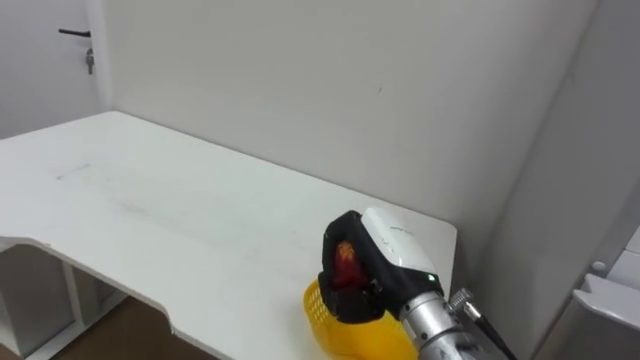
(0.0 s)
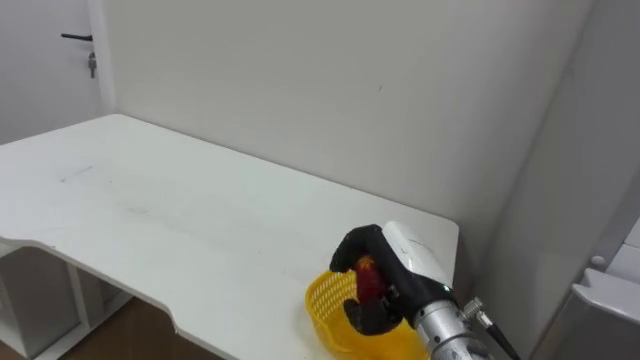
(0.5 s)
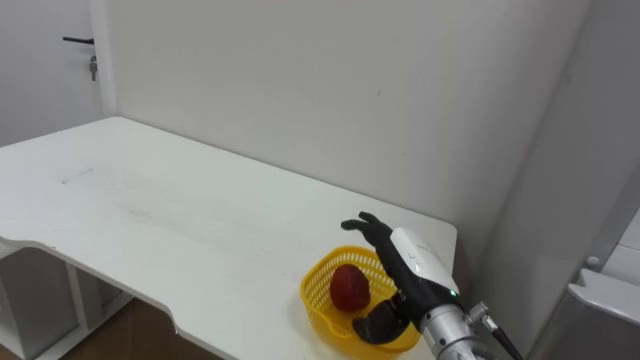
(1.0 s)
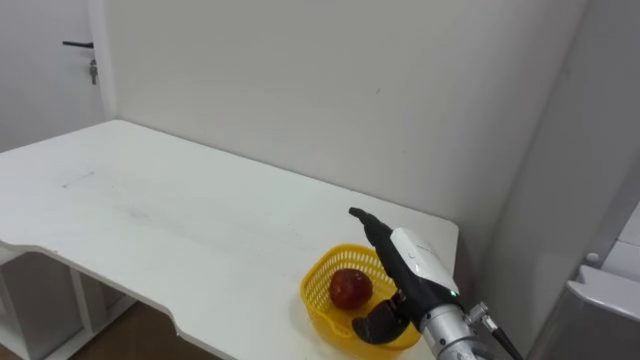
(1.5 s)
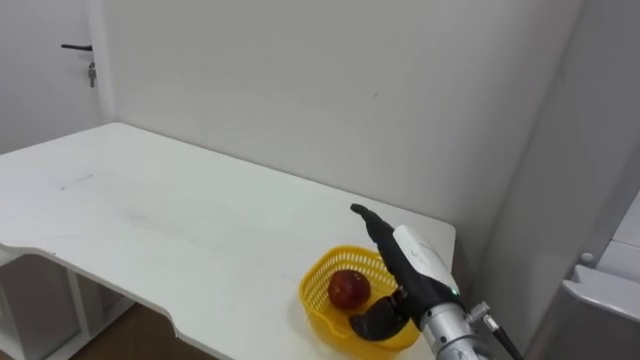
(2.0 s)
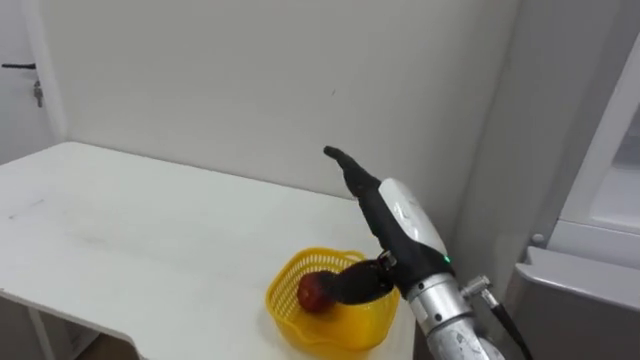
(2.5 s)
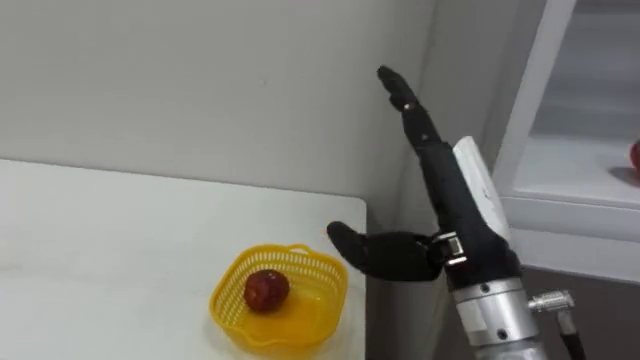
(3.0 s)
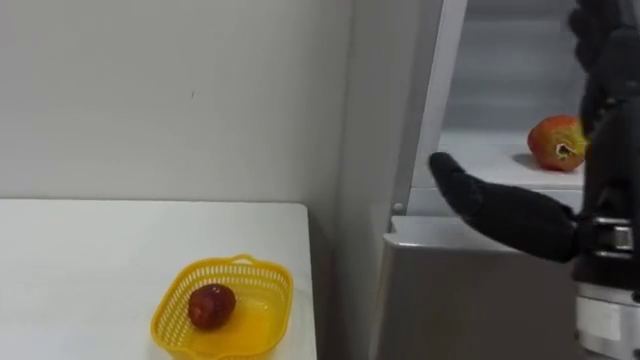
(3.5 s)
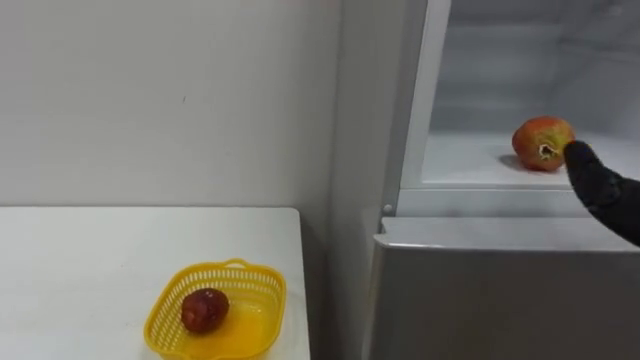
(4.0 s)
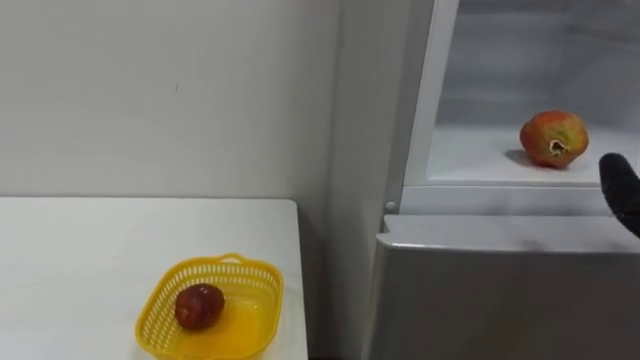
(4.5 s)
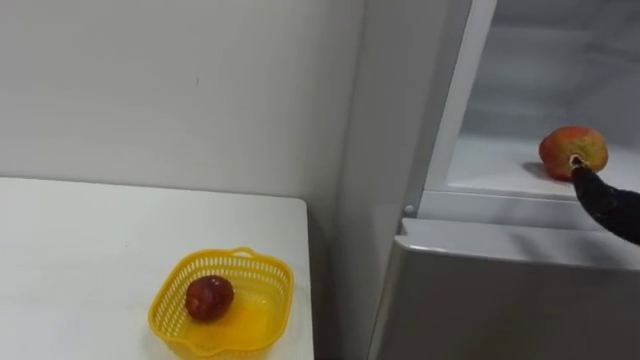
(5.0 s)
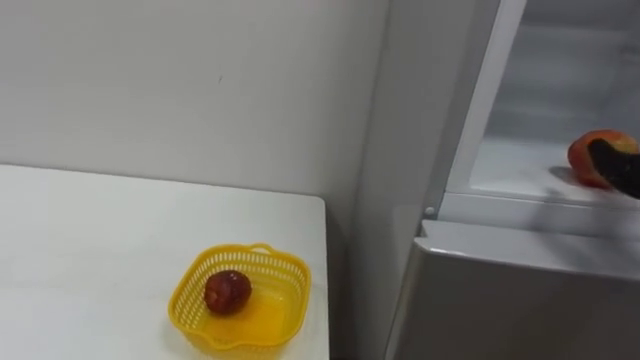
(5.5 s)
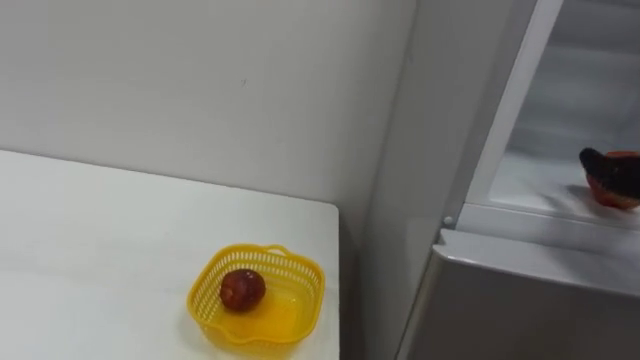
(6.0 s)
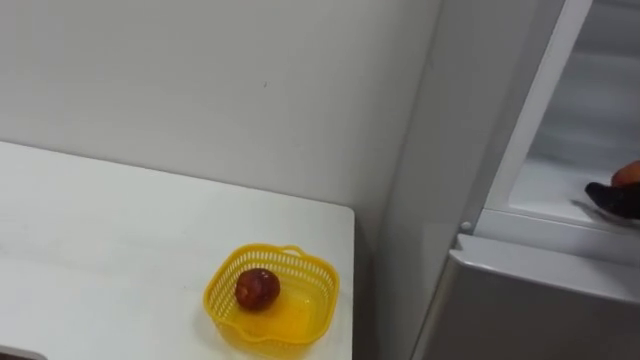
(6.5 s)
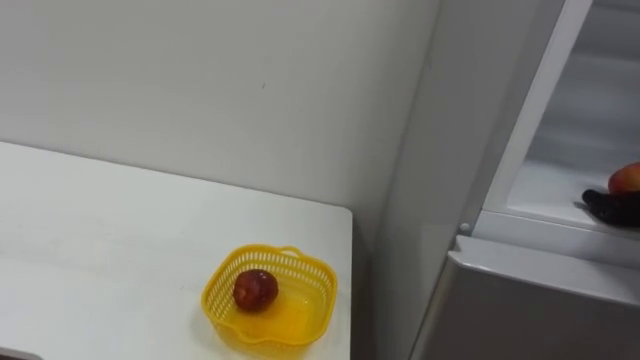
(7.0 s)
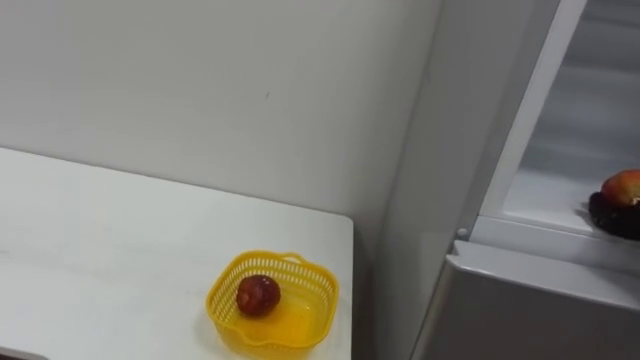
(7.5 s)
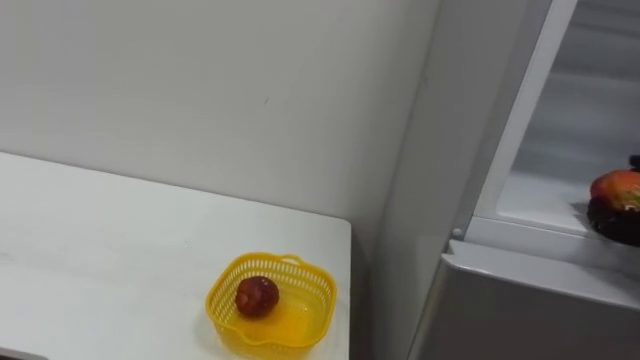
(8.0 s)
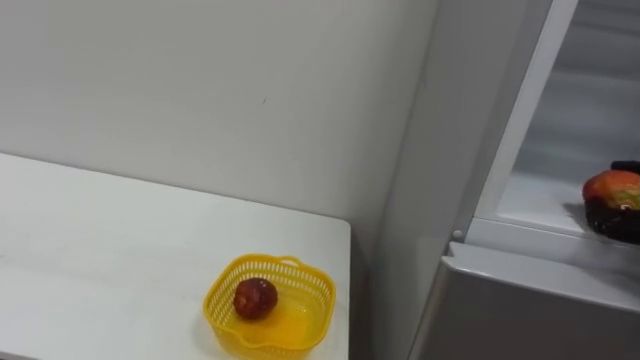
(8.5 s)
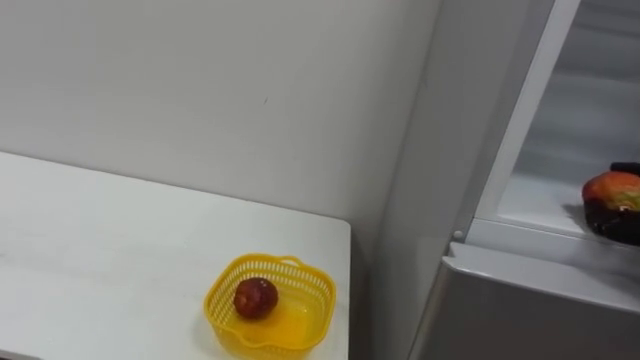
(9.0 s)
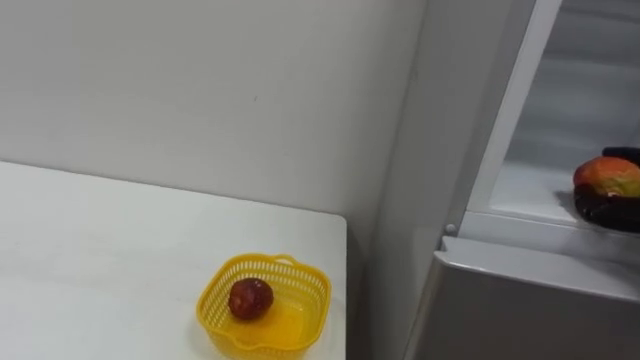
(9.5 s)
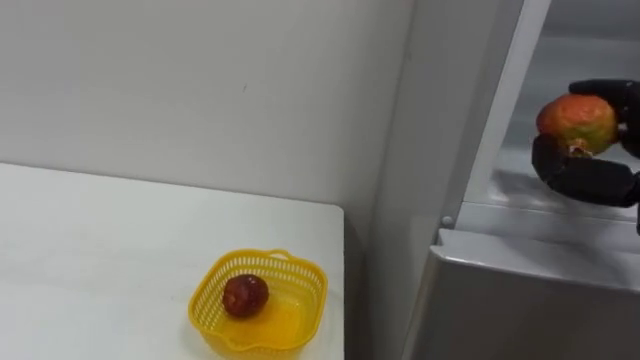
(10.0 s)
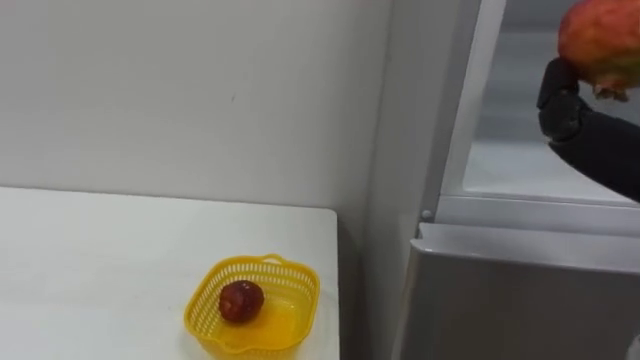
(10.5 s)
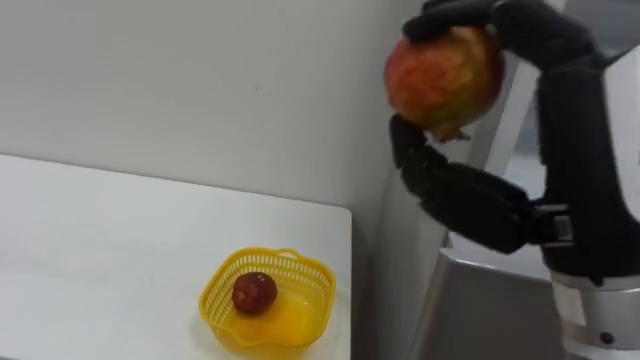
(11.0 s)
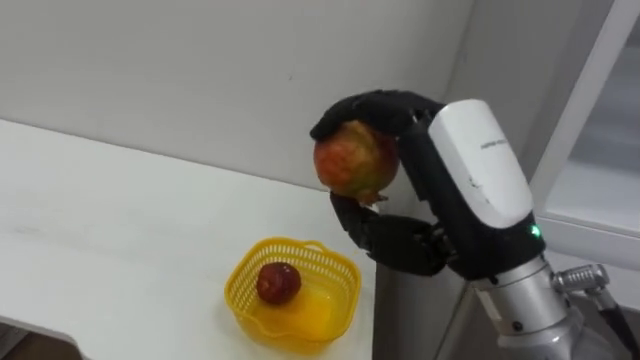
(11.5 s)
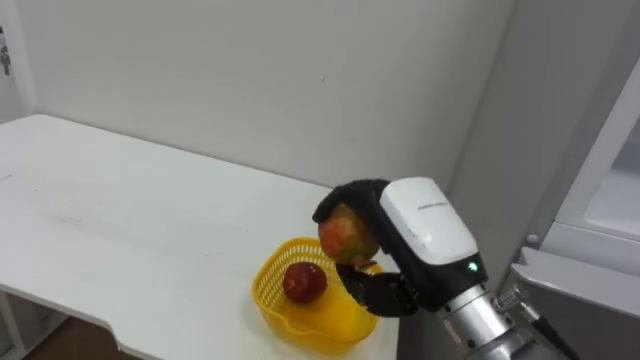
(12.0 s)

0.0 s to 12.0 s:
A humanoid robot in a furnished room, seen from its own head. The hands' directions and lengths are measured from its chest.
Task of the whole recording: Open the refrigerator door, take out the apple and the pomegranate, place them in the fruit basket on the left, and close the refrigerator door.
0.0 to 2.0 s: The right hand ends up some 5 cm from where it was, and opens its fingers.

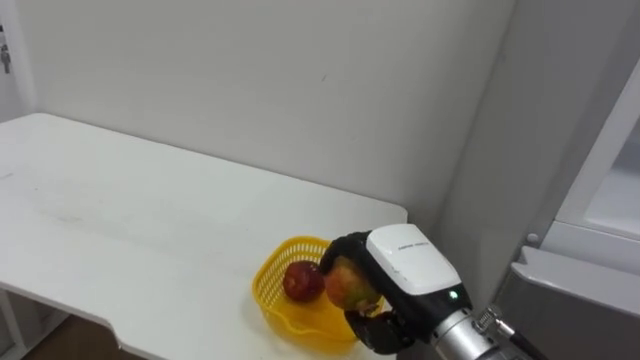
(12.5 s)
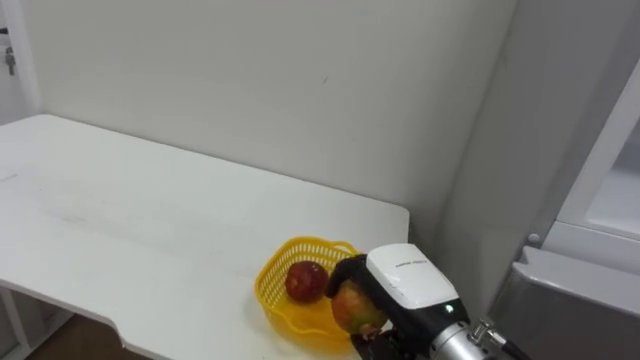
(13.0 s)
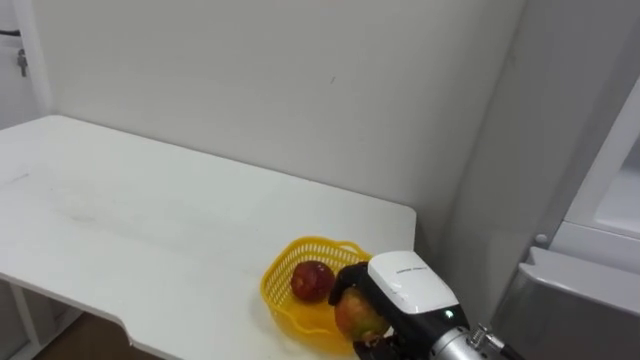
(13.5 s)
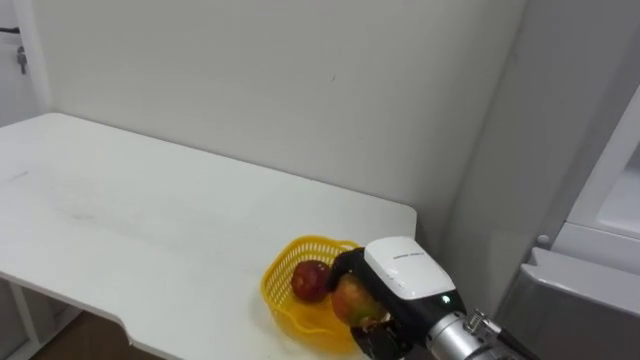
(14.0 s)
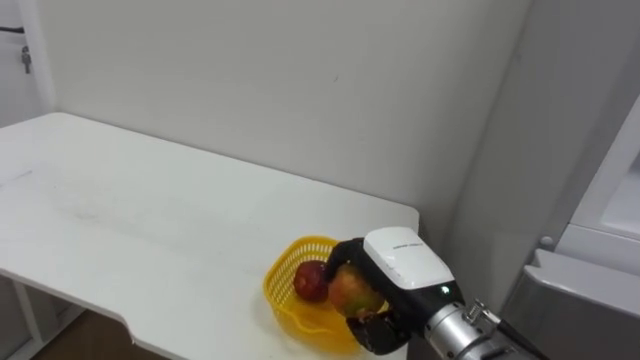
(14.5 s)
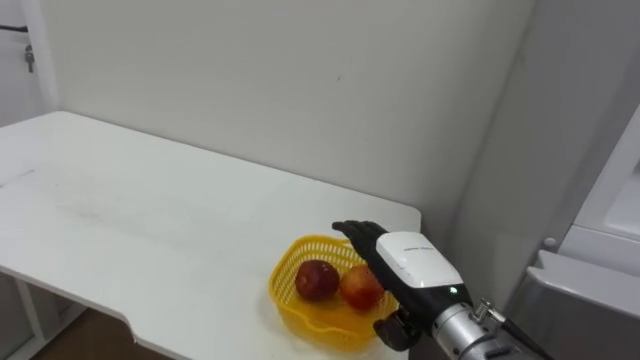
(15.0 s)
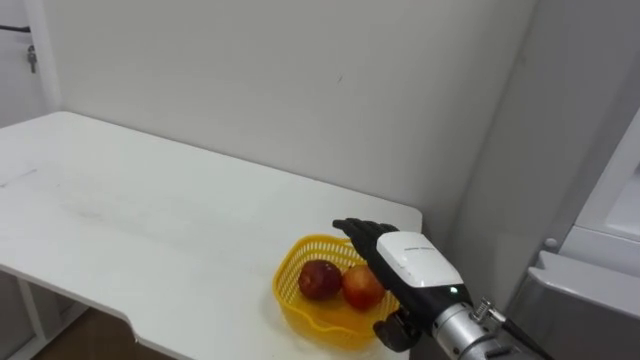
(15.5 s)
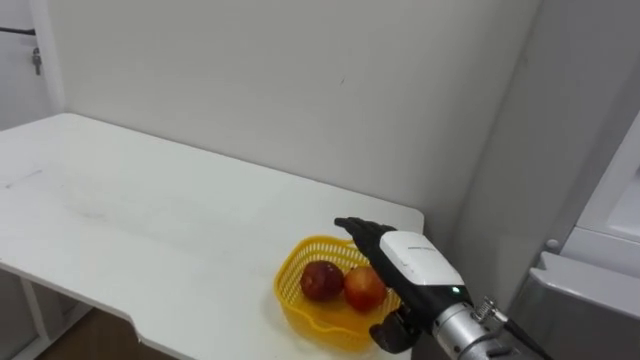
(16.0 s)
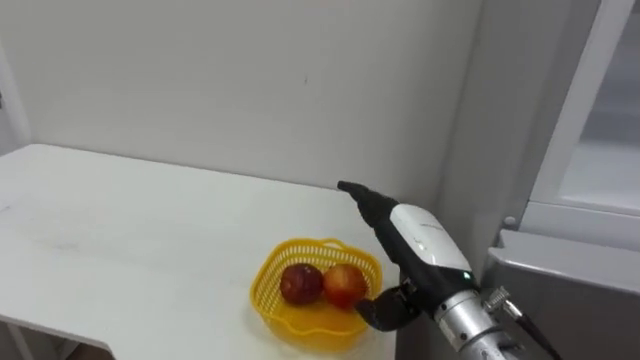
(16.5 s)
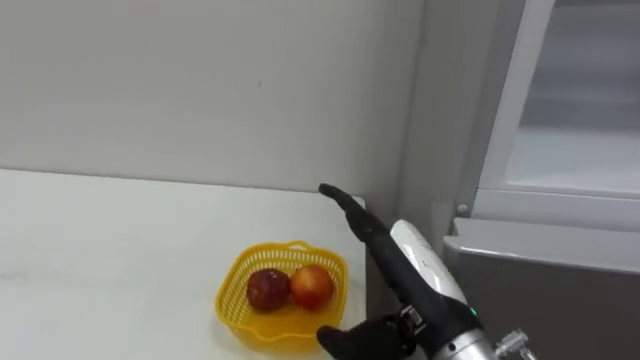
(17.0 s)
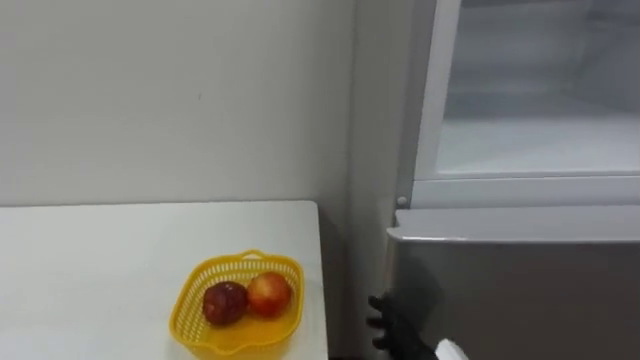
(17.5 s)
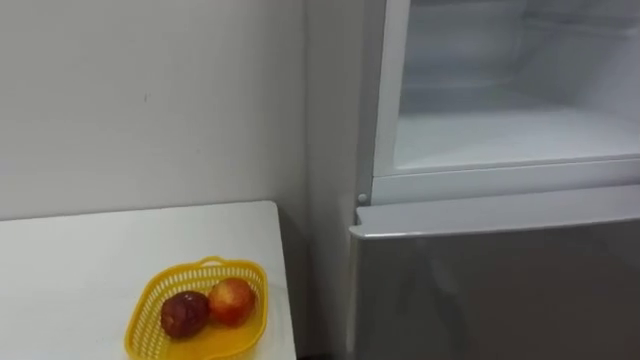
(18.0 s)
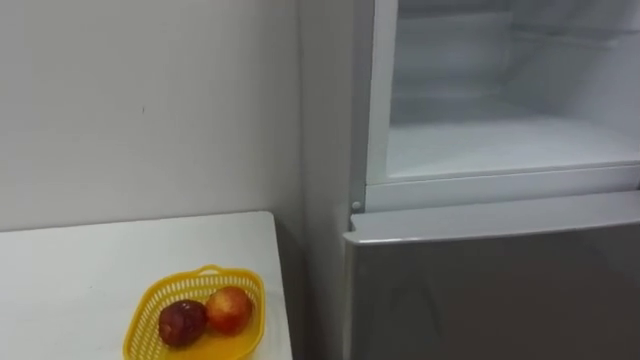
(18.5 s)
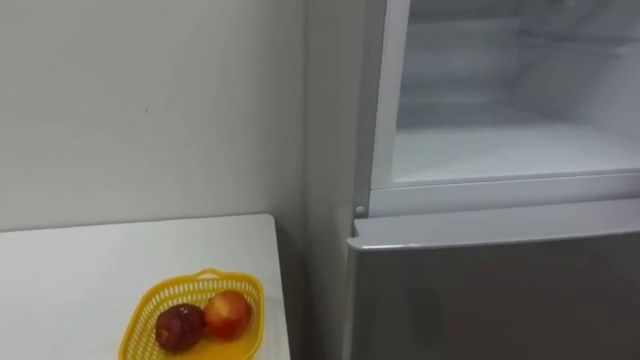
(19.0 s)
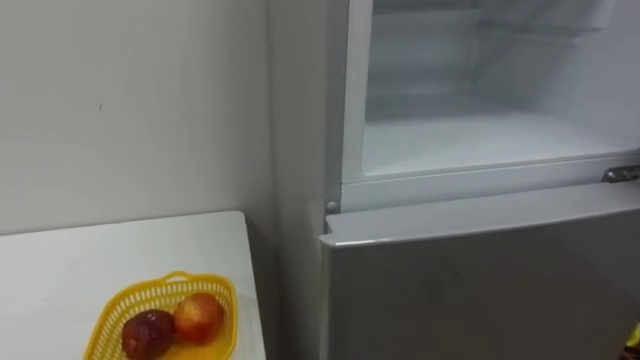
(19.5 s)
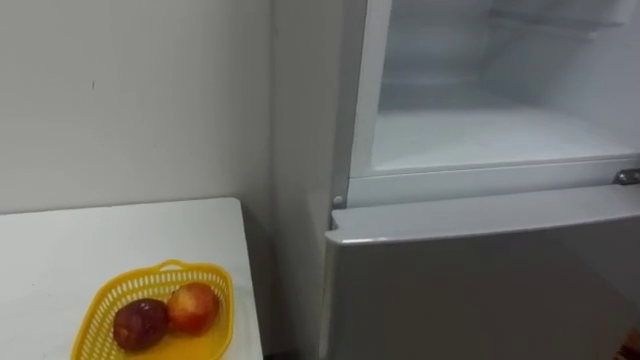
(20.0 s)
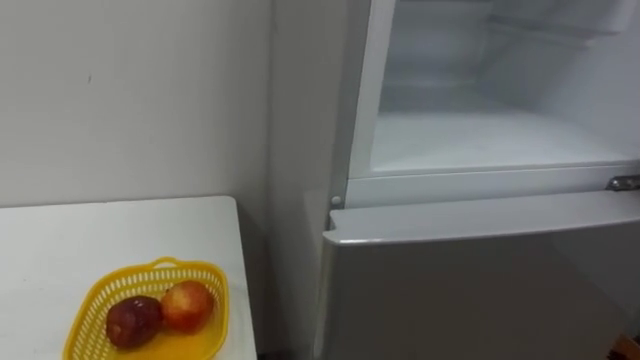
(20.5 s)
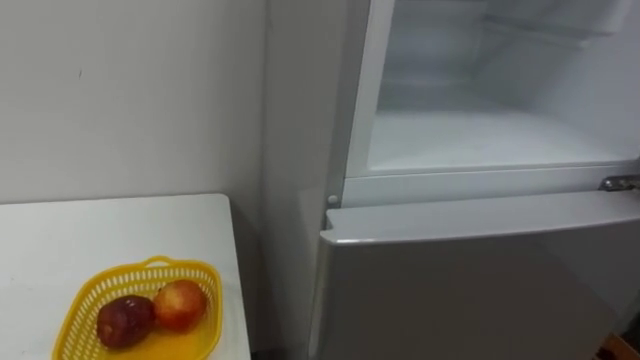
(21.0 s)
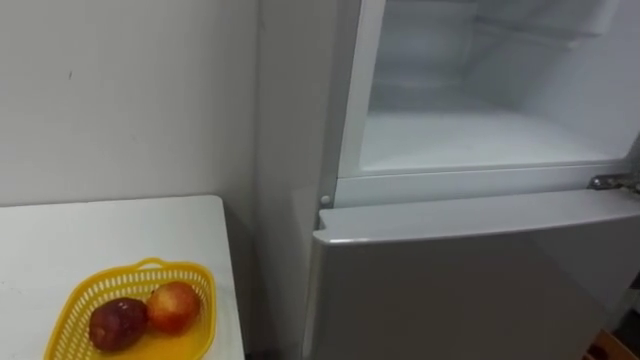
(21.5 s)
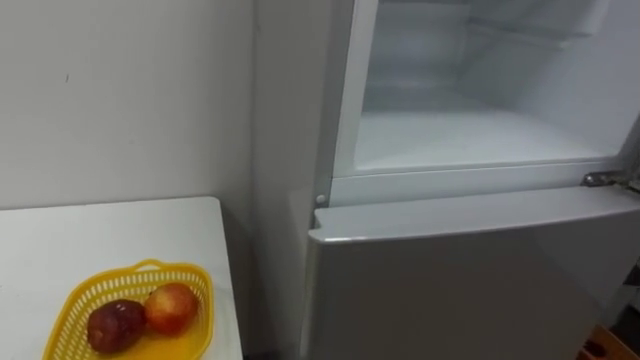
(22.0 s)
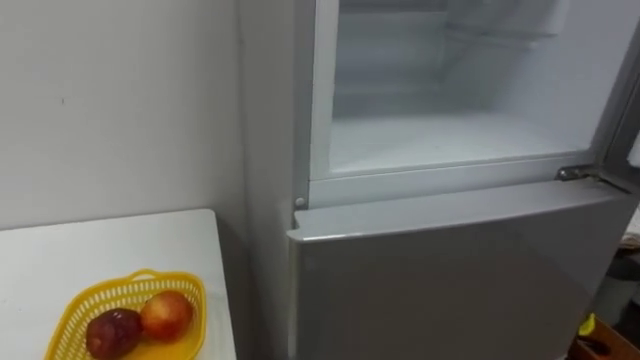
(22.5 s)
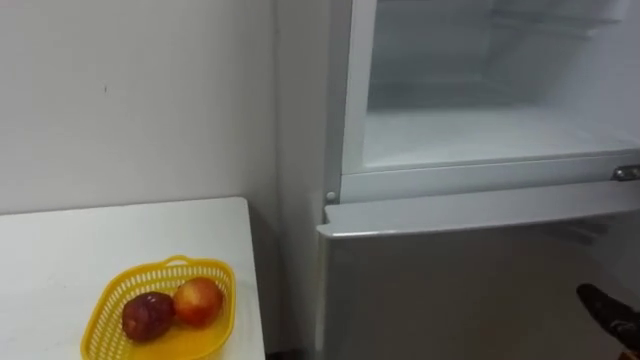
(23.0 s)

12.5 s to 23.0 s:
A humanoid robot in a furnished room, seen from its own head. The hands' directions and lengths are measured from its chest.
Task of the whole recording: Open the refrigerator door, take out the apple and the pomegranate, place them in the fruit basket on the left, and close the refrigerator door.
14.5 to 16.5 s: The right hand opens its fingers.
